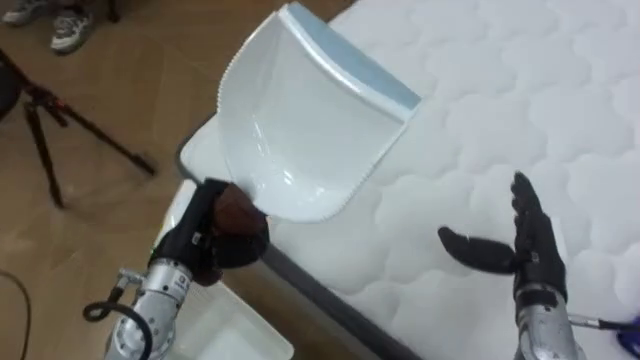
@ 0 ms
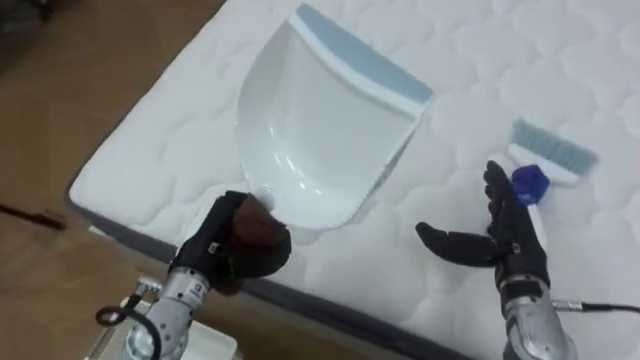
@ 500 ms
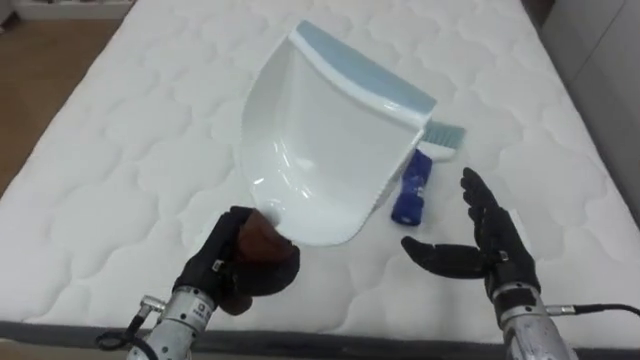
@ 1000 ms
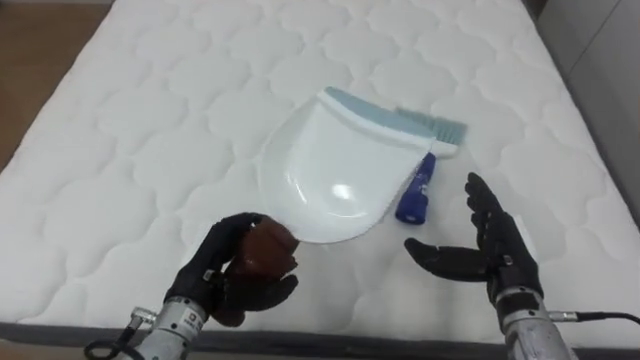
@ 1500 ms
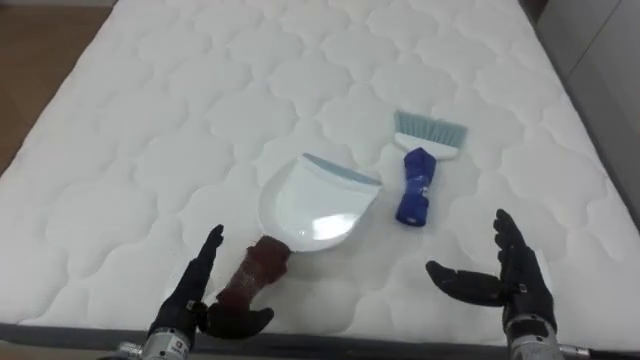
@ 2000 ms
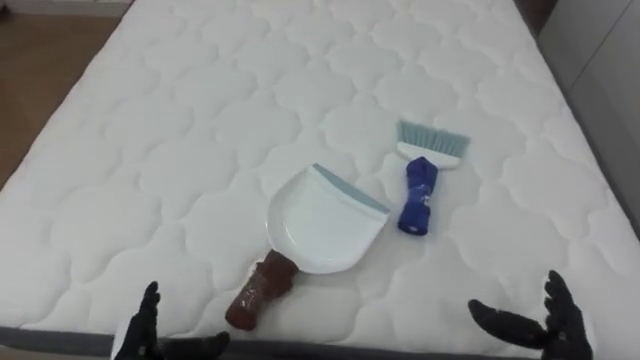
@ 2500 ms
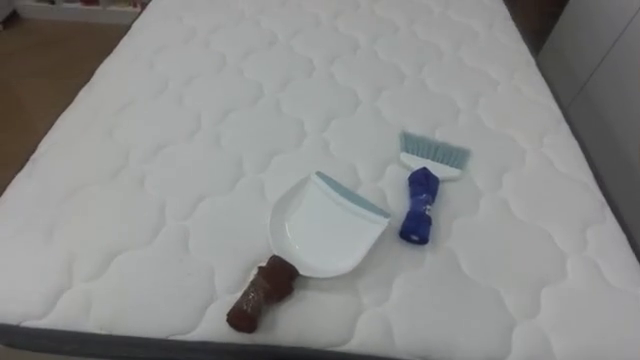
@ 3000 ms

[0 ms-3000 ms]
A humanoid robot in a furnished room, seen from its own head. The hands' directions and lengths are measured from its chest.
Task of the whole recording: Pick up the brush on your right and the dustpan on your left. Use the brush to sweep the crumpled paper on the bed into the dustpan, then turn left and empty it into the basket.
0 ms to 1500 ms: The robot rotates about 40 degrees to its right. The left hand moves approximately 5 cm, and opens.

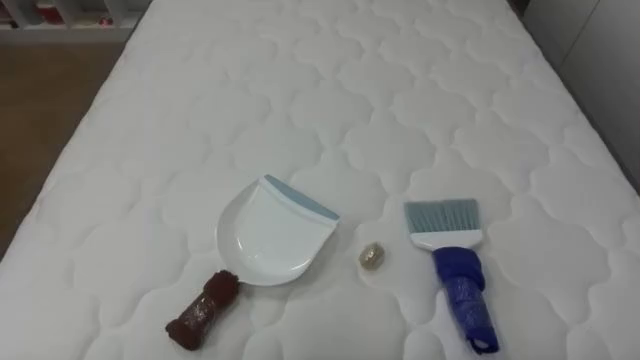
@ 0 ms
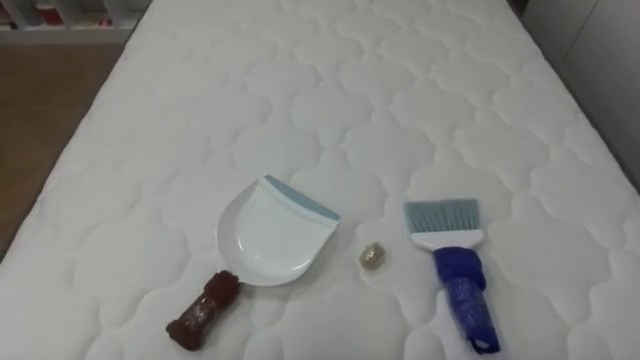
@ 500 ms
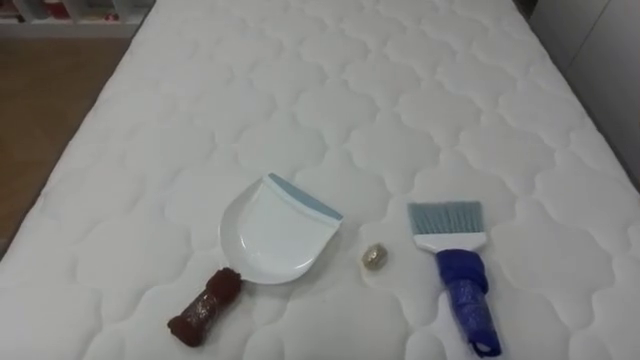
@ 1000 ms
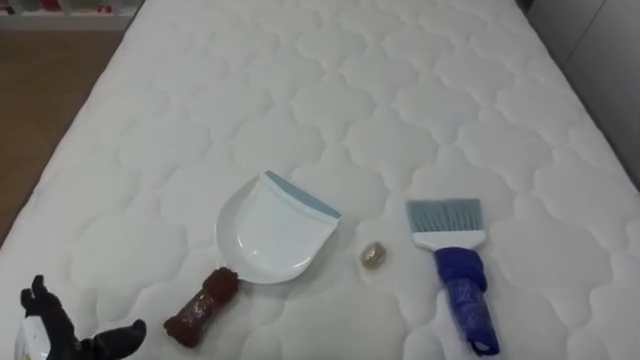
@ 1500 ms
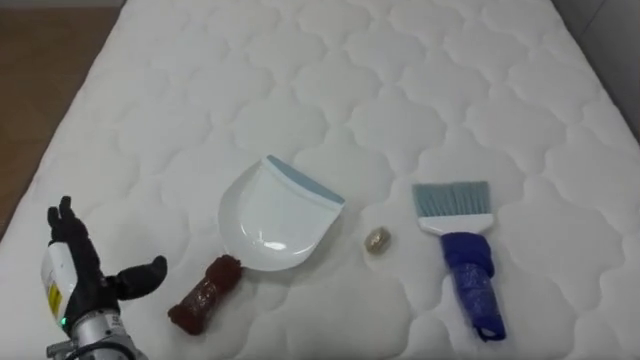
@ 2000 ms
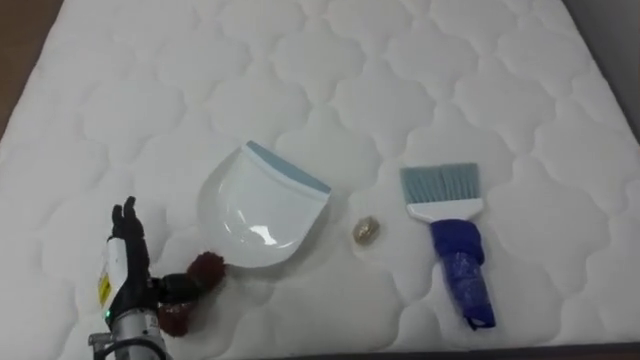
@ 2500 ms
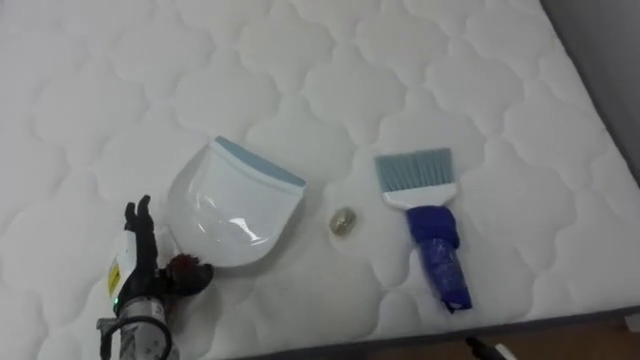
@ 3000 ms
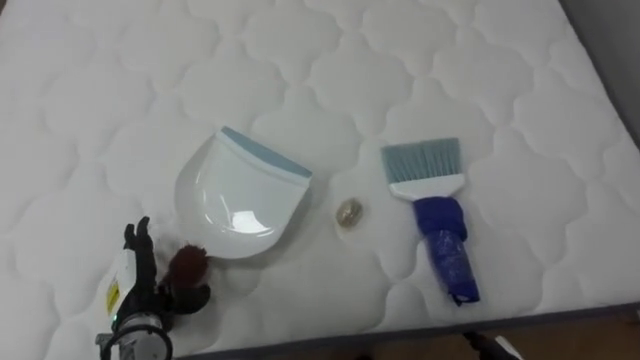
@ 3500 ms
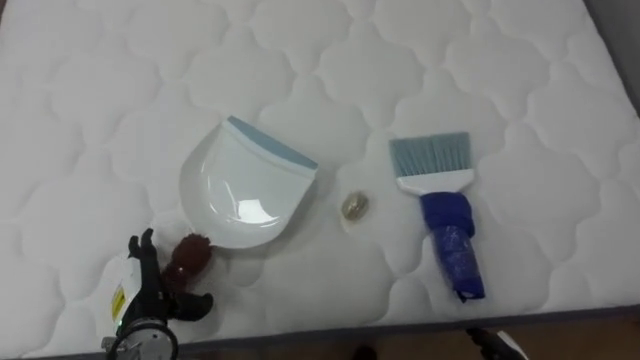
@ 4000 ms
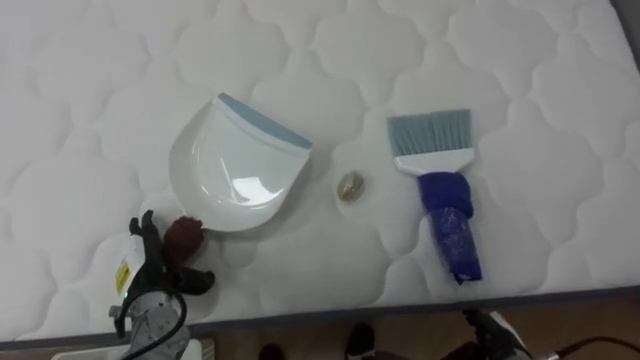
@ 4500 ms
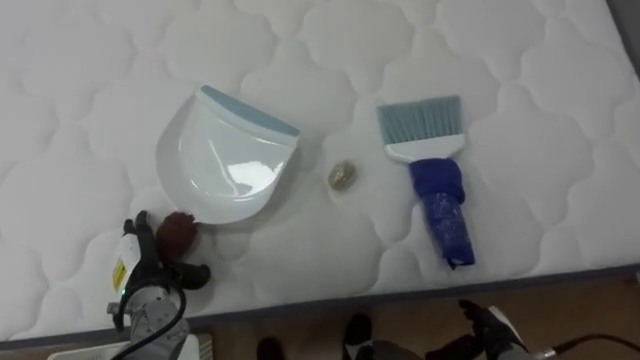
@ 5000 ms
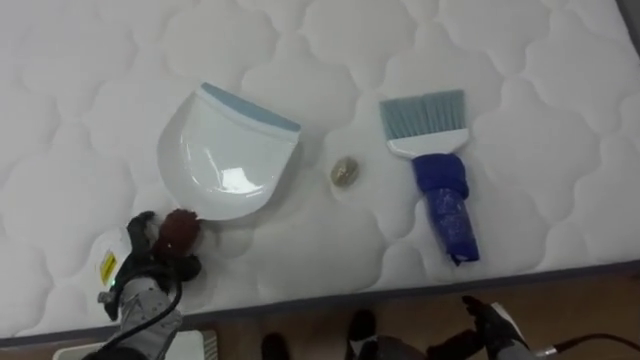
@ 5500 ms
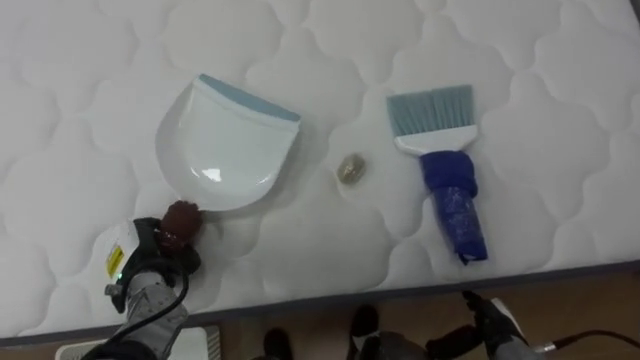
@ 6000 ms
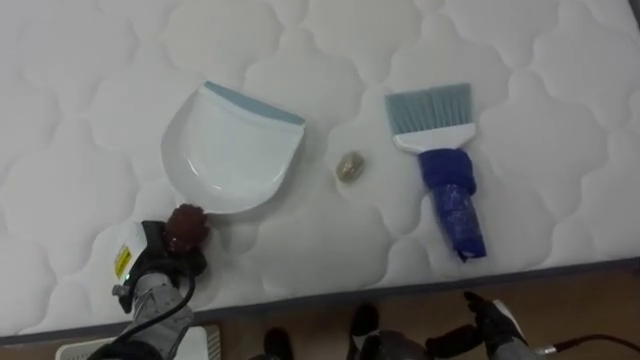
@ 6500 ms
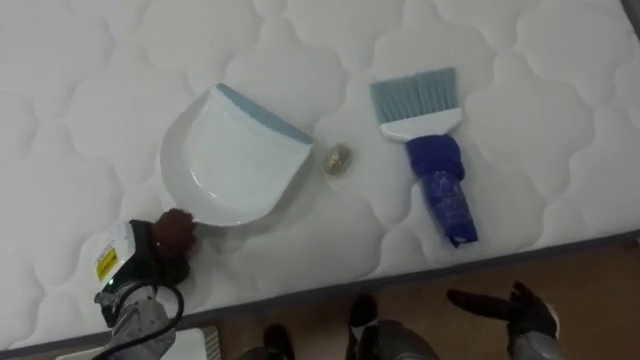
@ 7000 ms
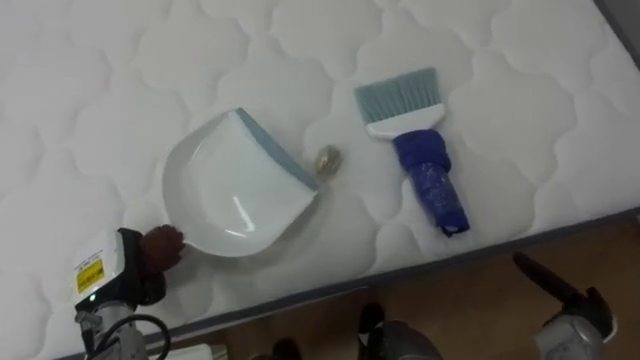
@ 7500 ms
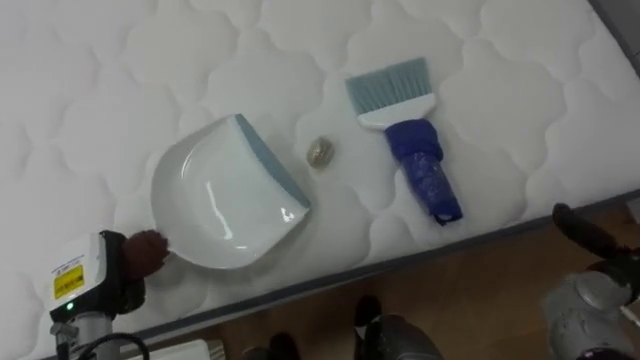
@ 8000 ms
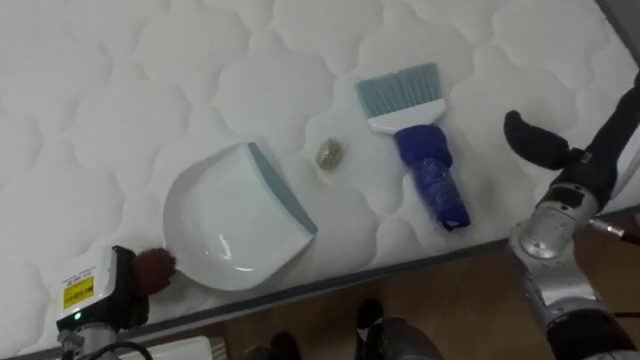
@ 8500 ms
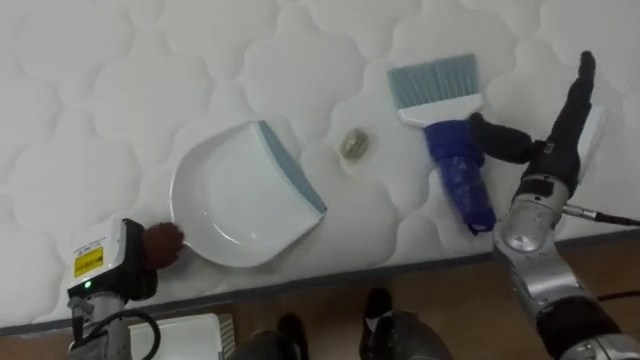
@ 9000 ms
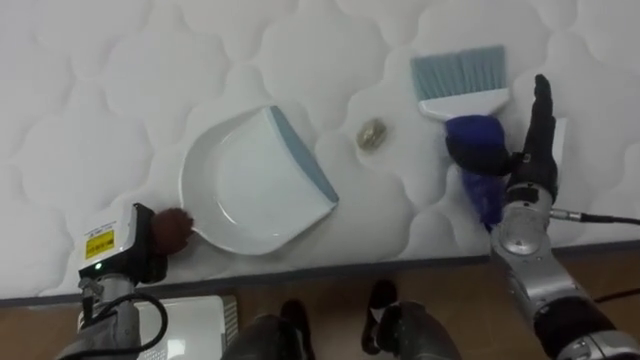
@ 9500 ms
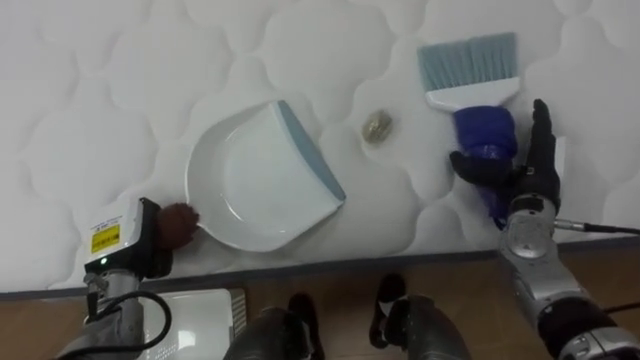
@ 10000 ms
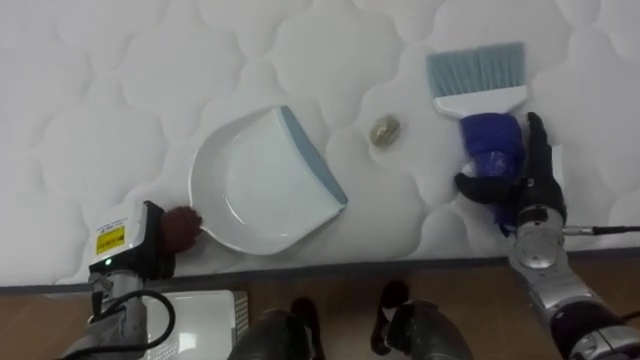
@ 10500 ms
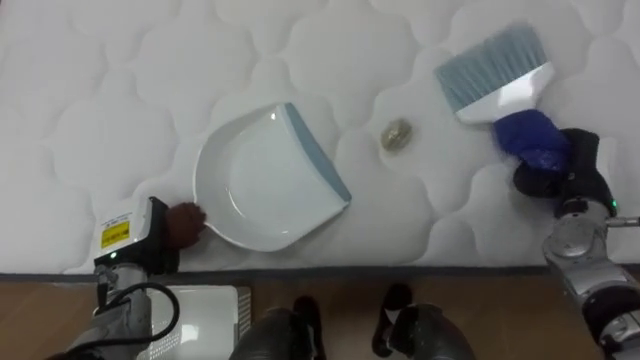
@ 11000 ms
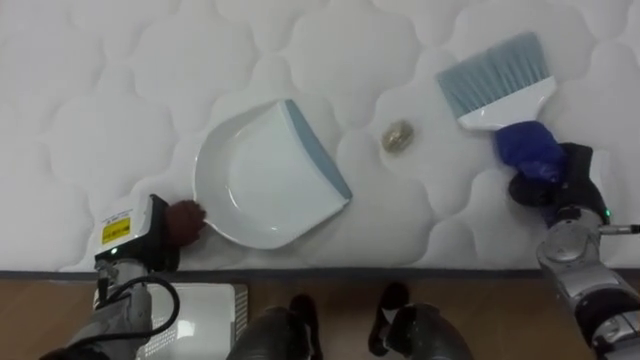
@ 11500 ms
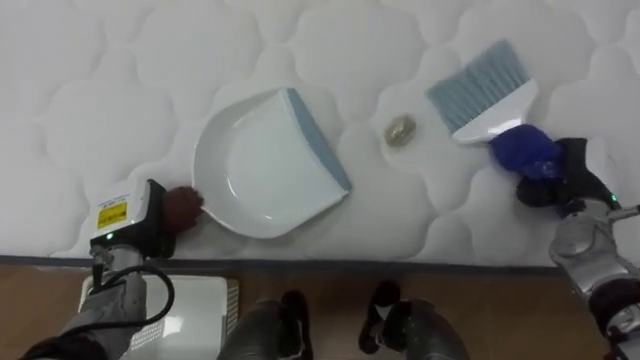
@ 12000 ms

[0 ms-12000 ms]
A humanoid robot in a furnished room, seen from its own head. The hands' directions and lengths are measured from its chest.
Task of the whole recording: Pick up the brush on your right and the dustpan on your left. Use the brush to sweep the crumpled paper on the bed into the dustpan, then turn left and empty it into the basket.
2000 ms to 4000 ms: The left hand goes some 10 cm downward and to the right.
4000 ms to 6000 ms: The left hand travels forward by approximately 5 cm, and closes.
6000 ms to 8000 ms: The right hand moves to the right and upward, about 20 cm. The left hand goes about 5 cm to the left.
8000 ms to 10000 ms: The right hand is displaced forward, to the left and upward by roughly 15 cm. Meanwhile the left hand changes place by about 5 cm.
10000 ms to 12000 ms: The right hand moves to the right, some 5 cm, and closes up.

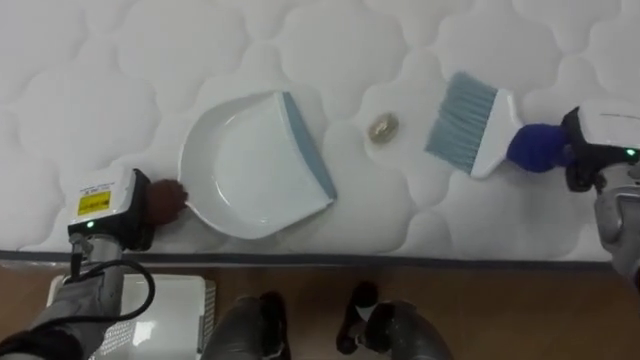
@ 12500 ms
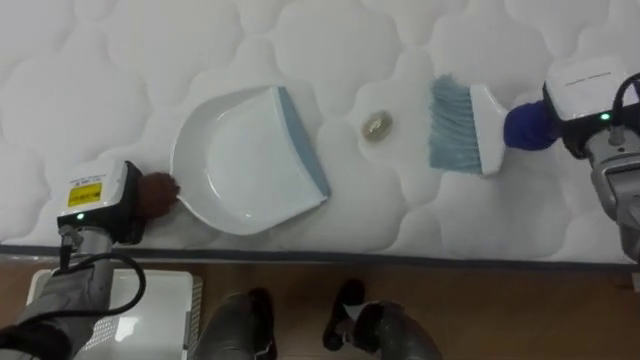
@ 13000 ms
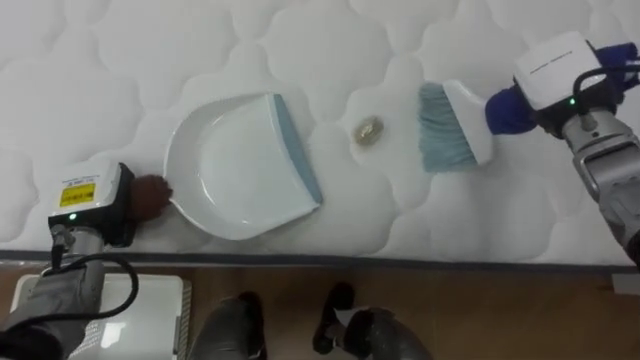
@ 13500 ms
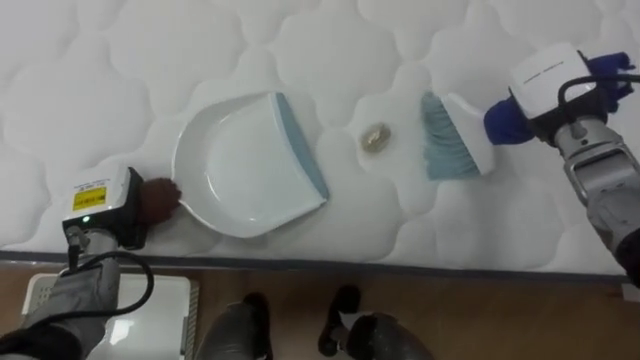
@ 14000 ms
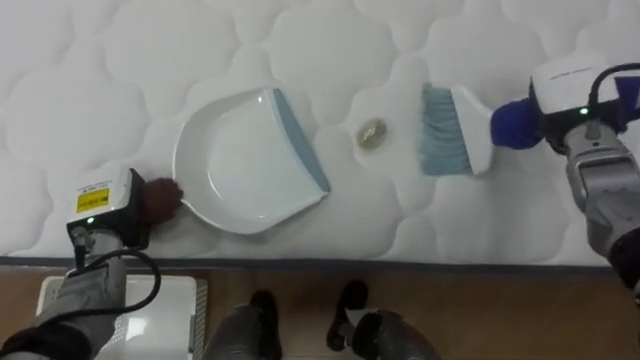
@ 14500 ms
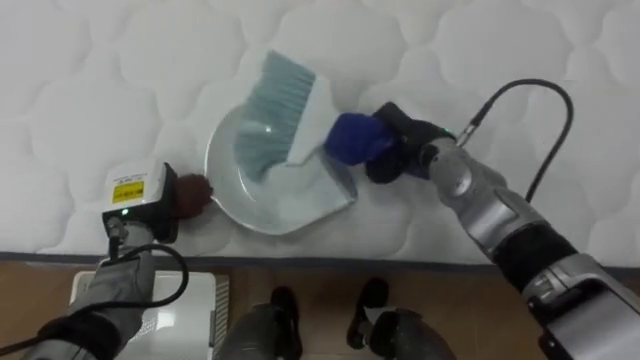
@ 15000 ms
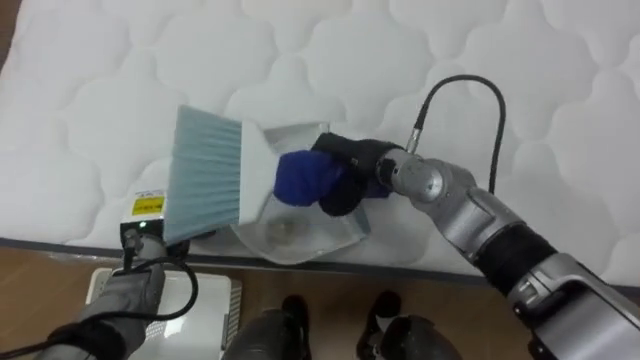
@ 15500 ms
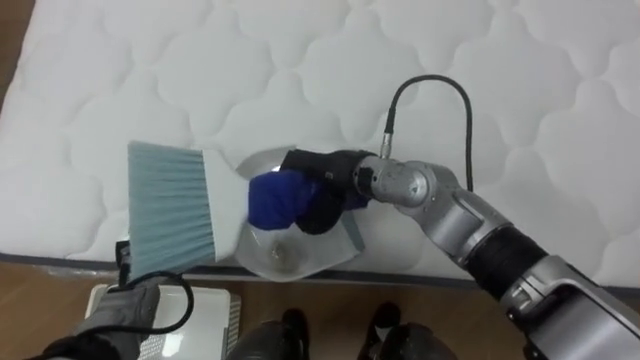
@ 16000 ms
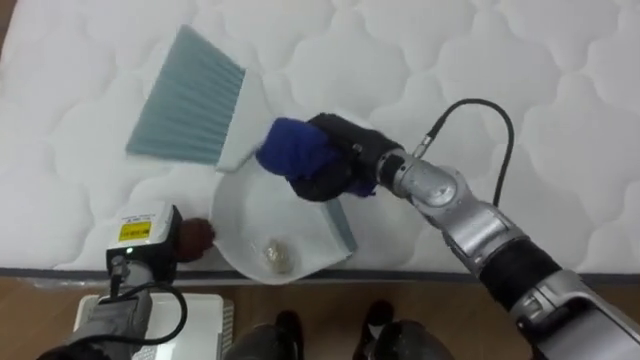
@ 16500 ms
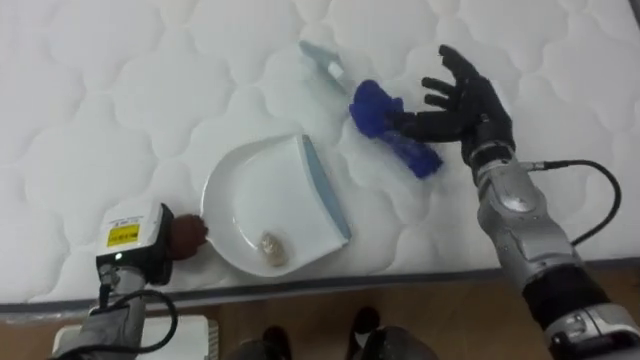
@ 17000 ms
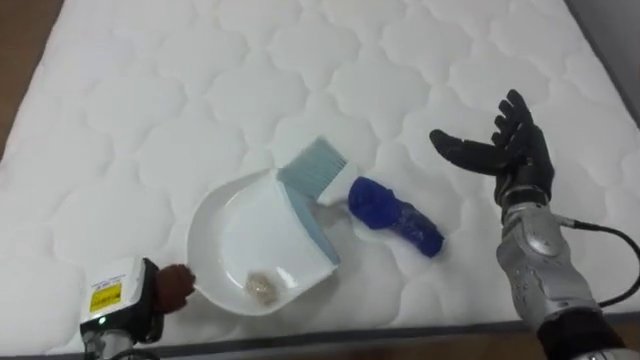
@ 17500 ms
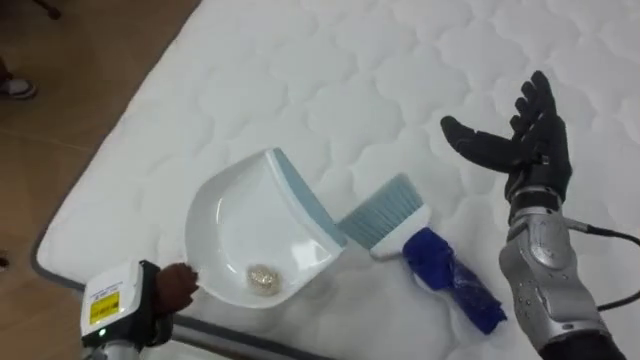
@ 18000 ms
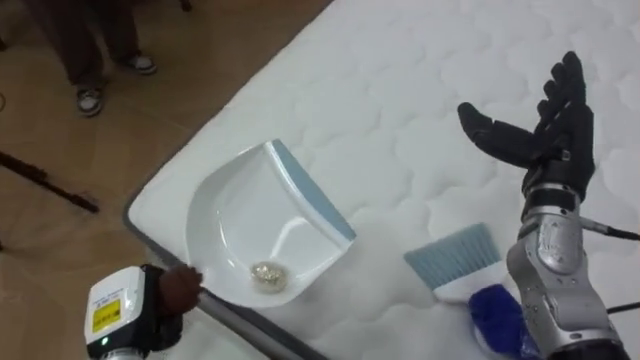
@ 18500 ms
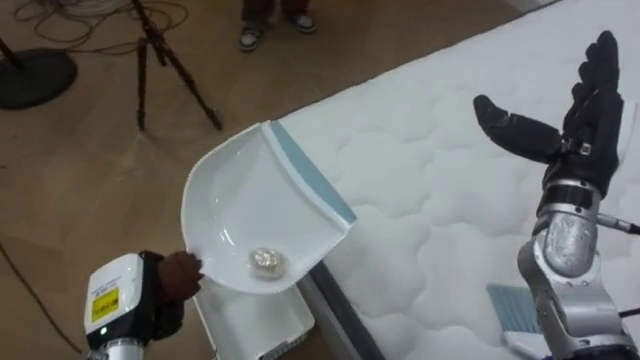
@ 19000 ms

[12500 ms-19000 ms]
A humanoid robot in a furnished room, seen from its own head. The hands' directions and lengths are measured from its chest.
Task of the whole recording: Pick up the brush on your right and the dustpan on your left. Use the brush to sweep the crumpled paper on the bed into the dustpan, then turn left and empty it into the basket.
12500 ms to 14500 ms: The right hand heads to the left, covering some 5 cm.
14500 ms to 17000 ms: The left hand shifts by roughly 5 cm, while the right hand reaches about 30 cm to the left, then returns, and opens.
17000 ms to 19000 ms: The robot faces approximately 55 degrees further to its left. The left hand moves backward, about 10 cm, while the right hand travels to the right and backward by roughly 10 cm.
